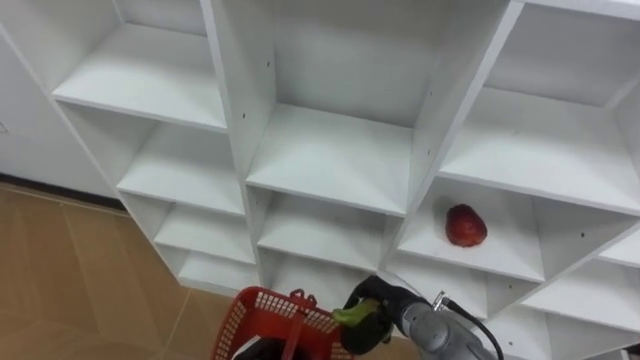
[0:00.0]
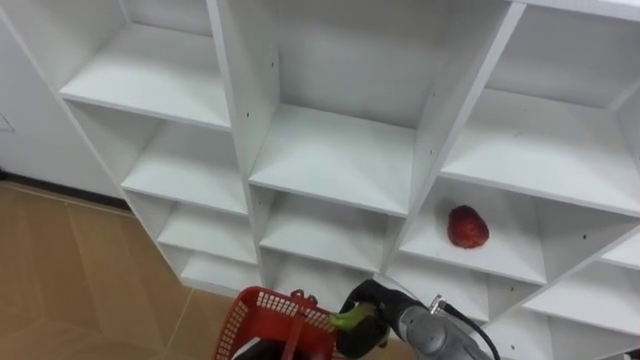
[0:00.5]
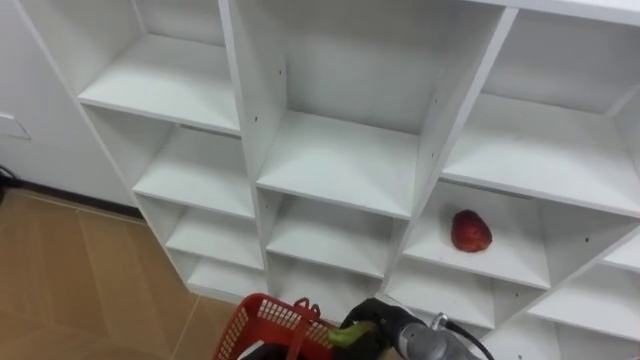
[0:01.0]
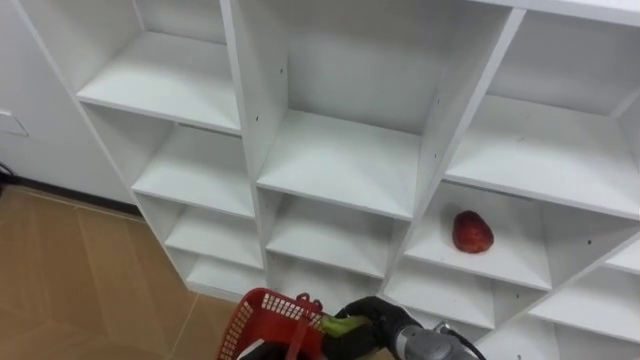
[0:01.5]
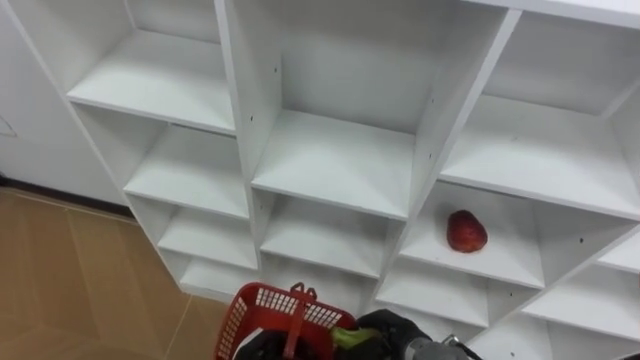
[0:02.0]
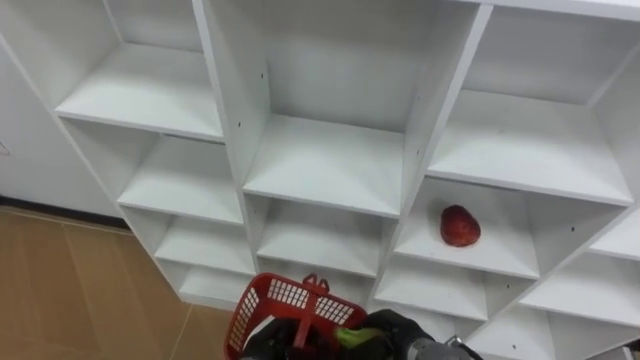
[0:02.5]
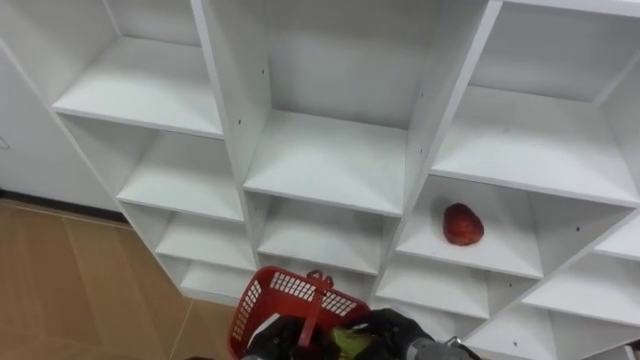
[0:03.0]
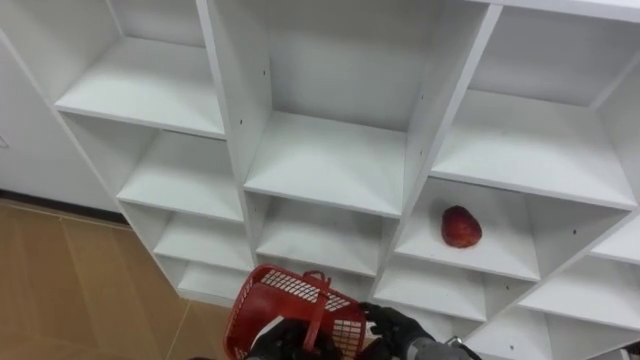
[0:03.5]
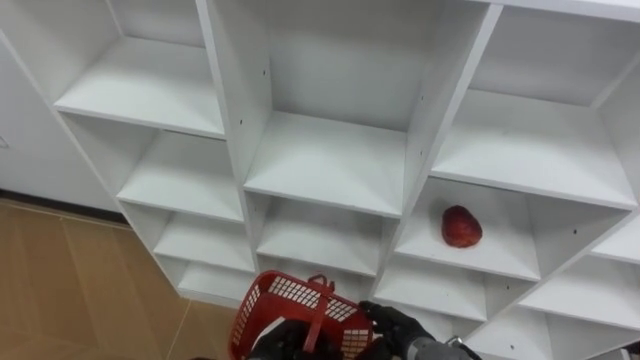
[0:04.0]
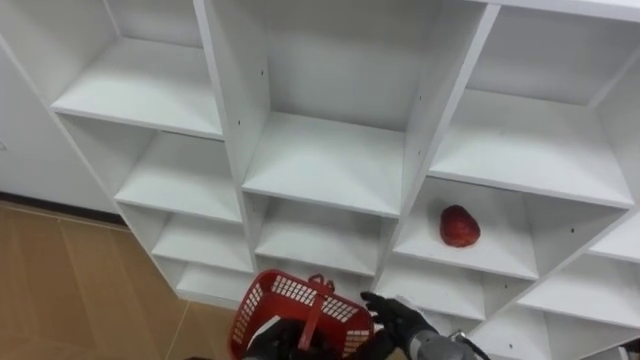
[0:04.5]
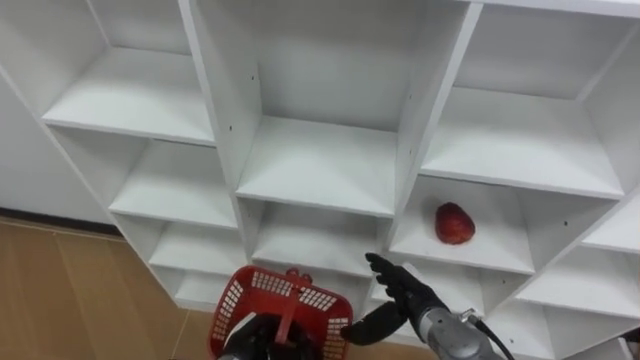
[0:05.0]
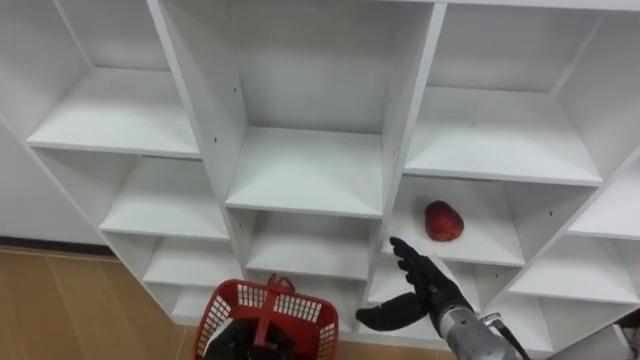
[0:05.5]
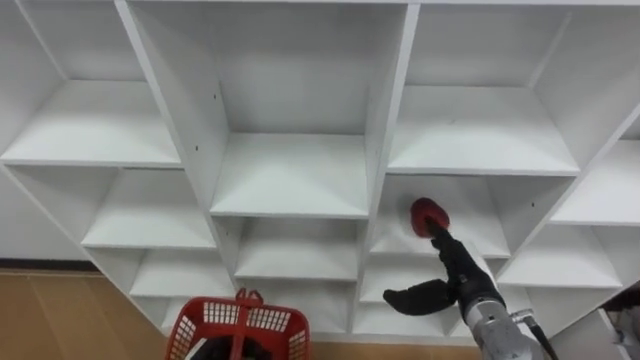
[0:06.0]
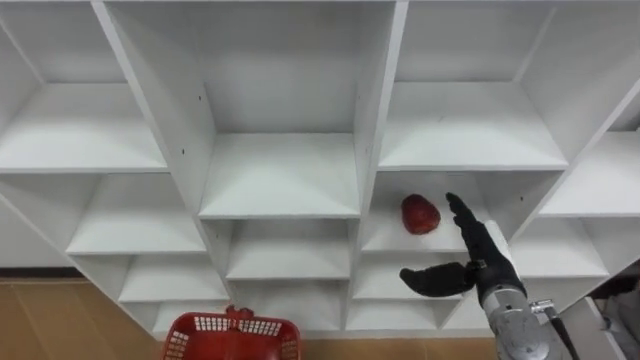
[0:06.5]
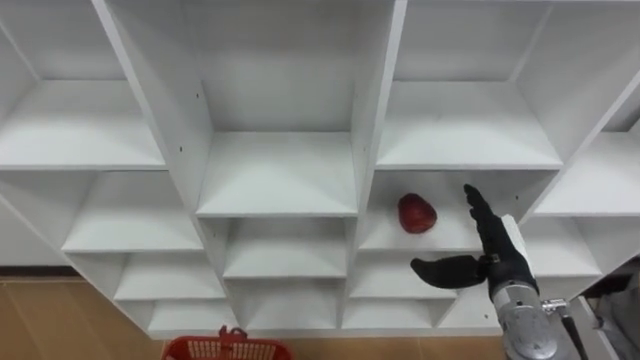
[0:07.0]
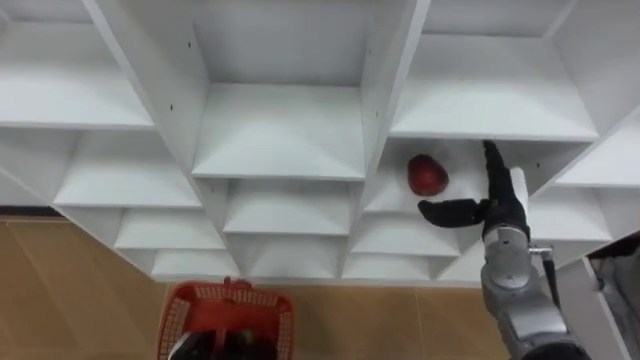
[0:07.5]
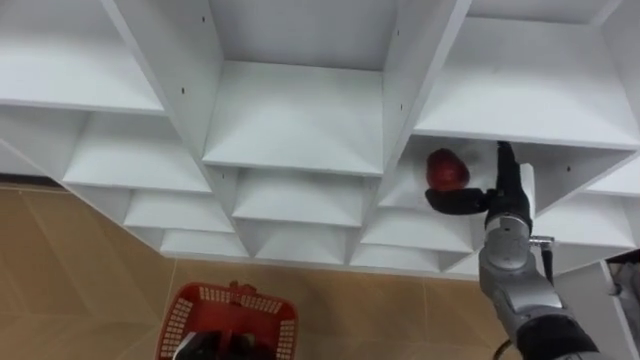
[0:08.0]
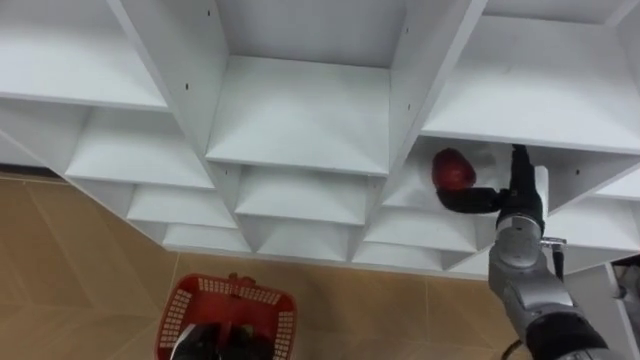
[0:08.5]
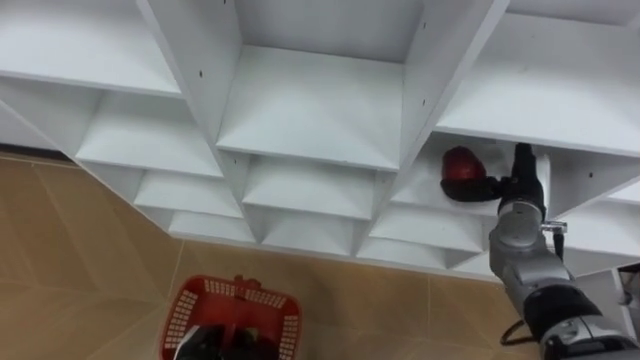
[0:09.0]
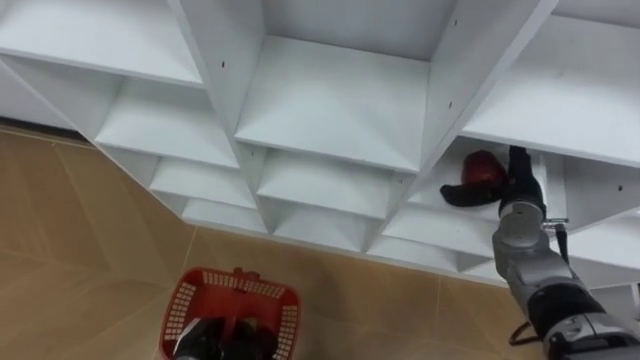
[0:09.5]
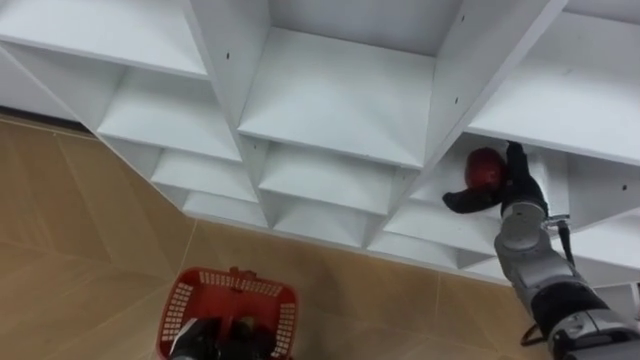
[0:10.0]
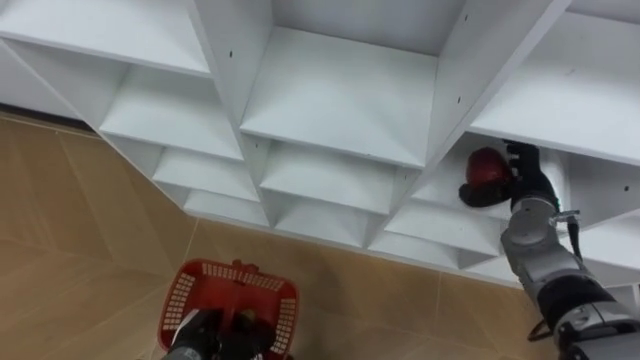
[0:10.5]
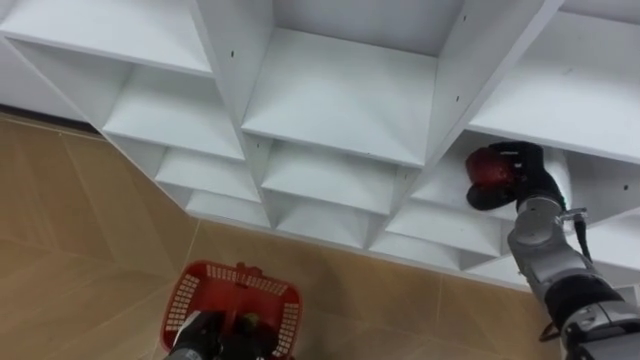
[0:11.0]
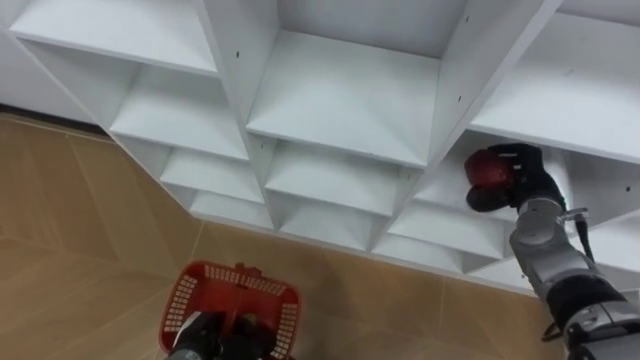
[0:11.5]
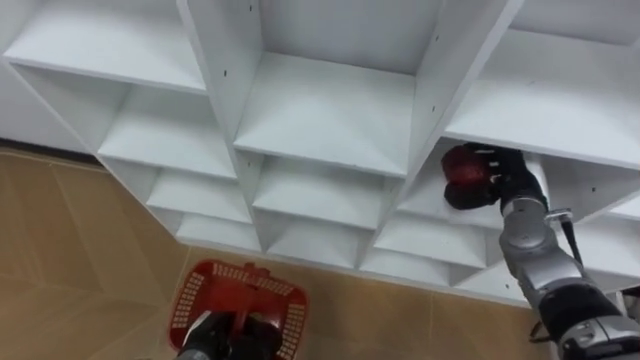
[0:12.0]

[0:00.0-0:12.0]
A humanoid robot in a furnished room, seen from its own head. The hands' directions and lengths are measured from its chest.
Task of the whole recording: Hold the basket and collect the fruits from 3 different cells of the closet into it.
0:00.0 to 0:02.0: The right hand ends up approximately 5 cm from where it was.
0:02.0 to 0:04.0: The right hand opens its fingers.
0:04.0 to 0:06.0: The right hand heads upward, to the right and forward, covering some 15 cm.
0:06.0 to 0:08.0: The right hand goes roughly 10 cm forward, upward and to the right.
0:10.0 to 0:12.0: The right hand closes its fingers.

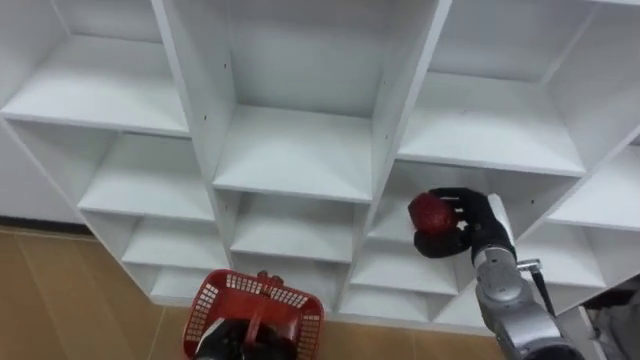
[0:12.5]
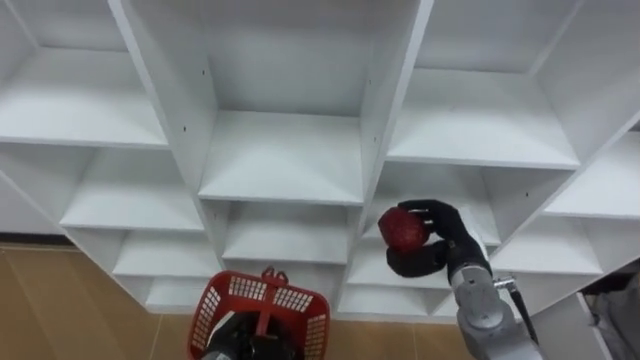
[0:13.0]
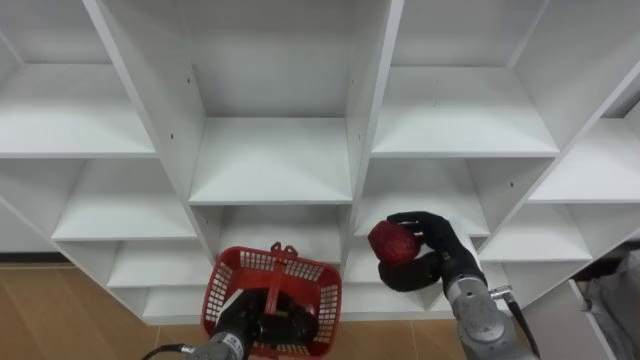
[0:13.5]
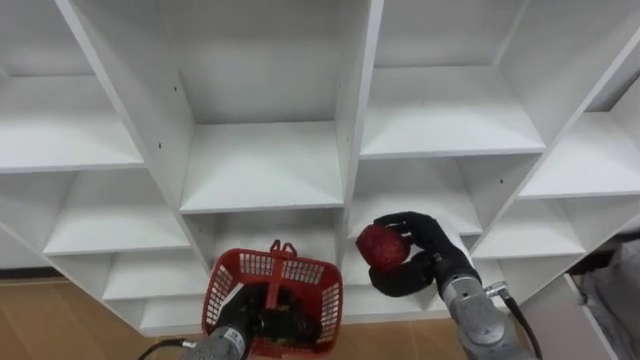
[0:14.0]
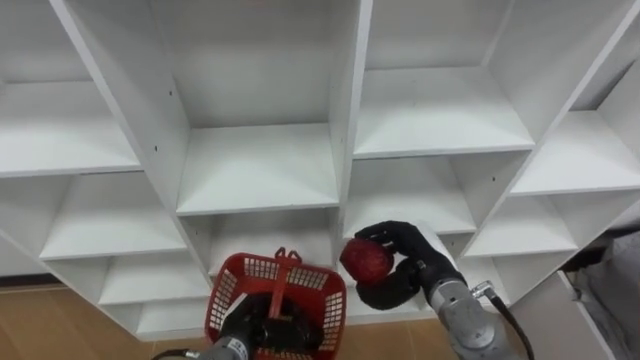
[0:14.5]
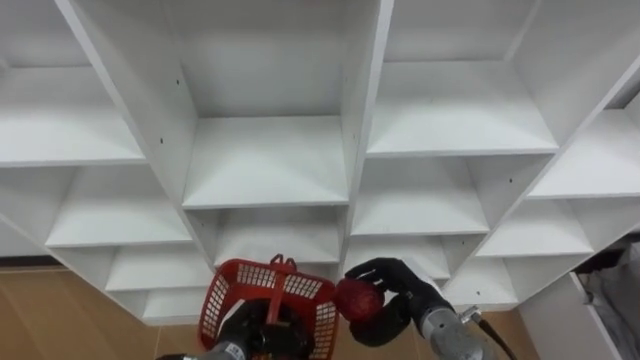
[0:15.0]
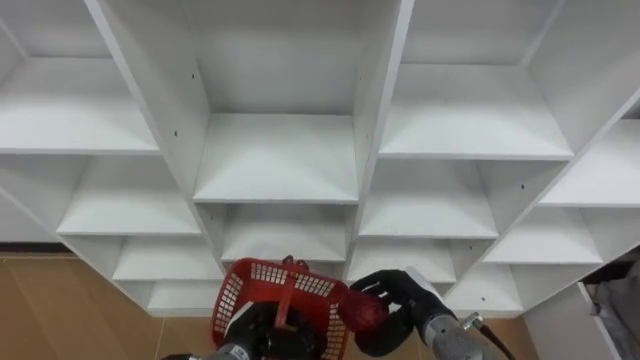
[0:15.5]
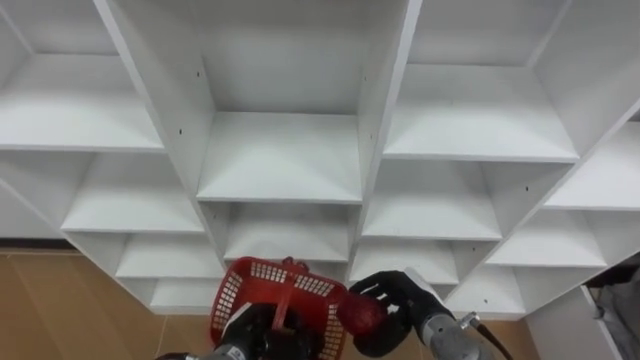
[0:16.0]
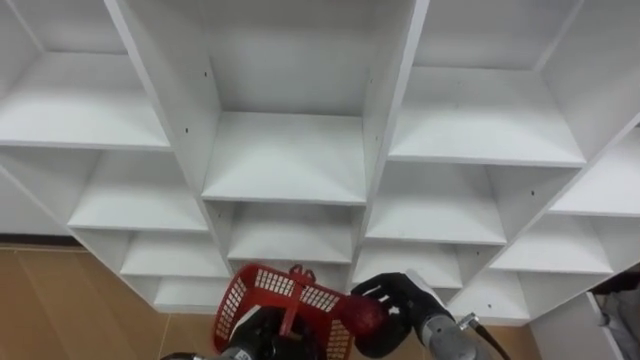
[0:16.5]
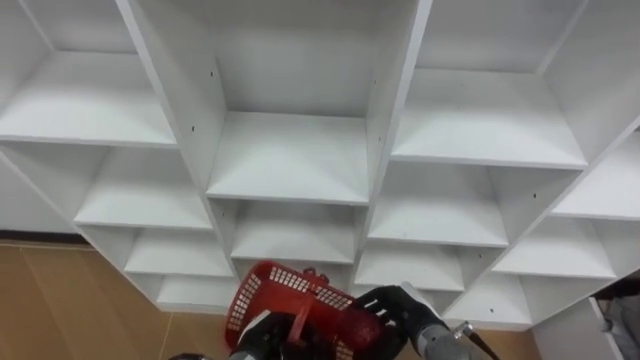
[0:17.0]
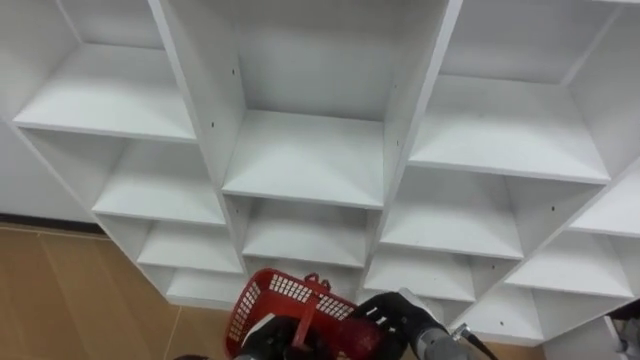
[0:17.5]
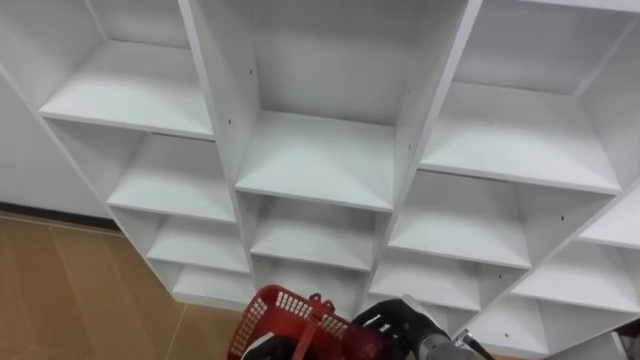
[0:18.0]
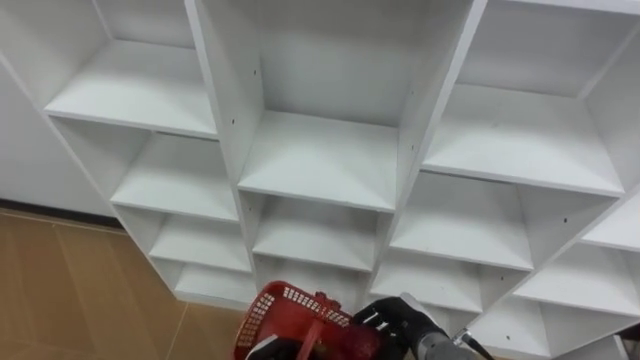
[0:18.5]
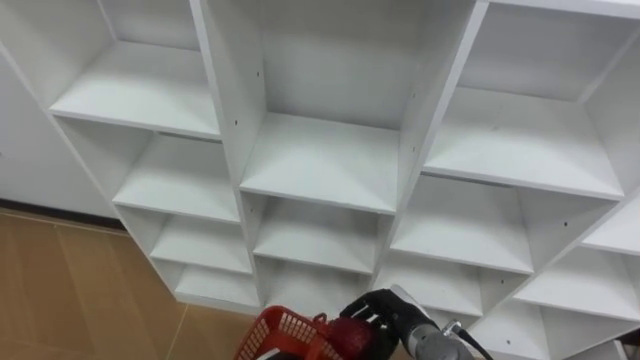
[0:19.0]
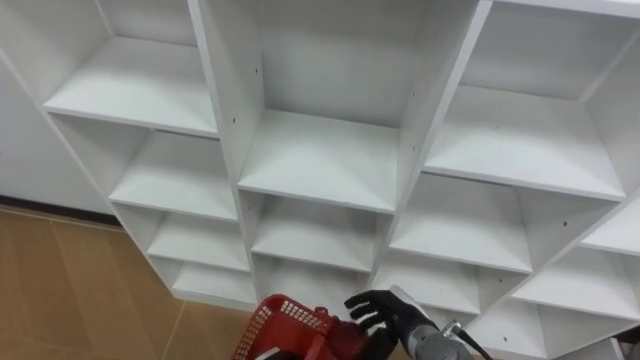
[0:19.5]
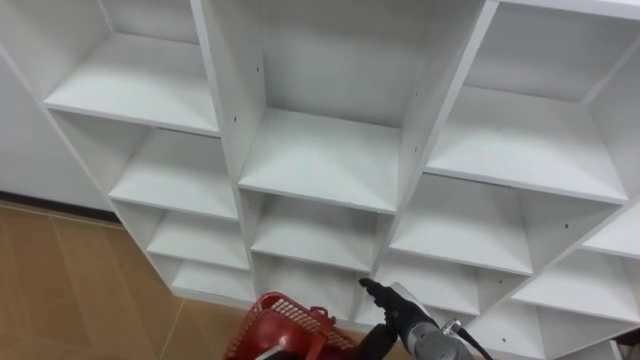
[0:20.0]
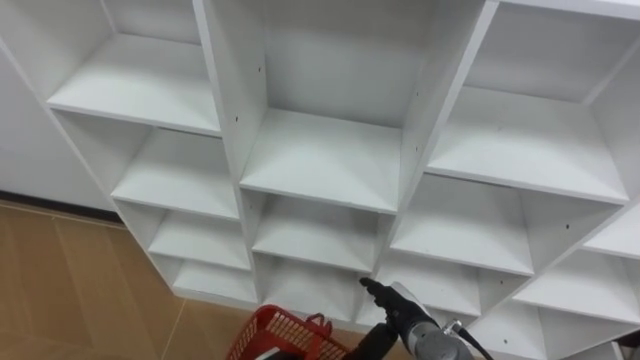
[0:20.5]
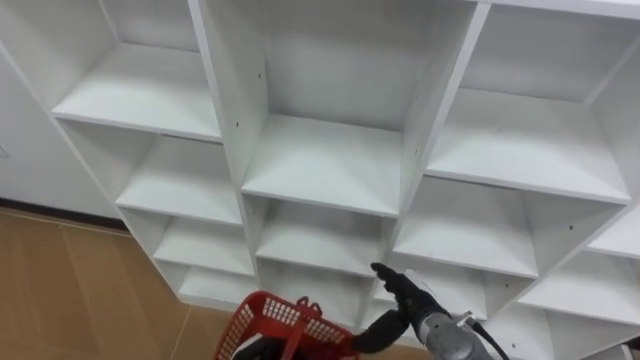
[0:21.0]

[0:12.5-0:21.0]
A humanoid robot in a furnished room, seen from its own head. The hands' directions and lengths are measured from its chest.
Task of the whole recording: Hold the basket and collect the fruits from 3 different cells of the closet into it.
0:12.5 to 0:14.5: The right hand heads to the left, covering some 10 cm, while the left hand moves approximately 5 cm.
0:14.5 to 0:16.5: The right hand travels downward by about 5 cm.
0:19.0 to 0:21.0: The right hand opens up.
